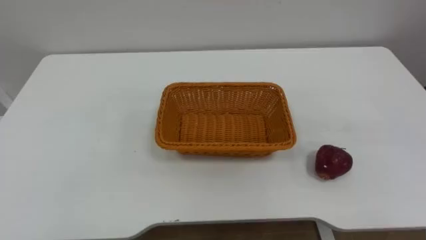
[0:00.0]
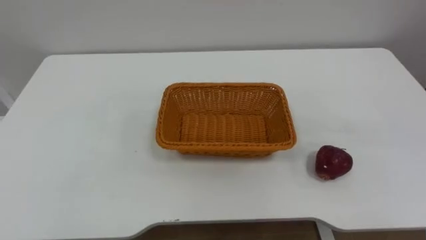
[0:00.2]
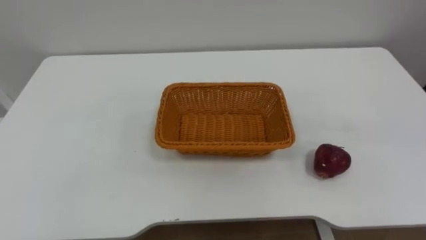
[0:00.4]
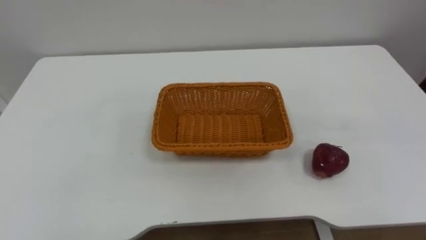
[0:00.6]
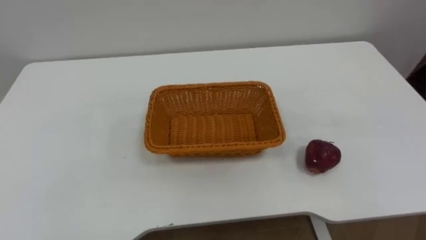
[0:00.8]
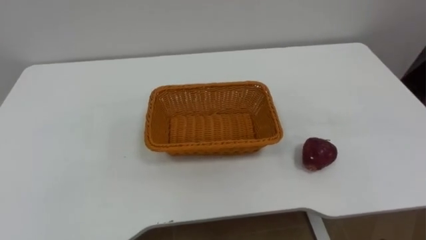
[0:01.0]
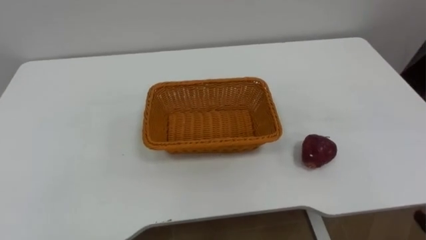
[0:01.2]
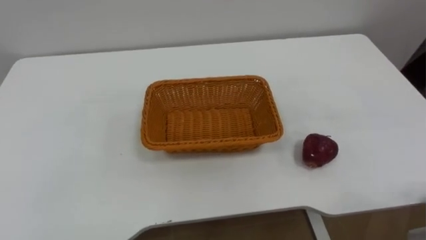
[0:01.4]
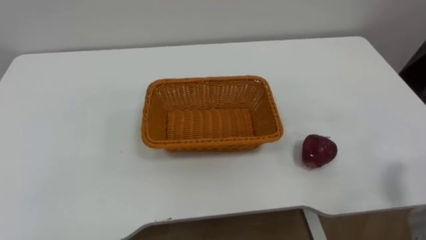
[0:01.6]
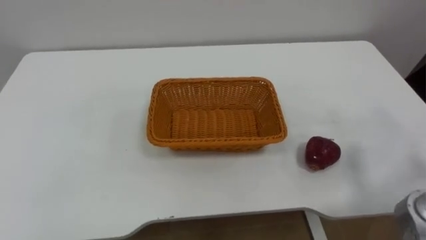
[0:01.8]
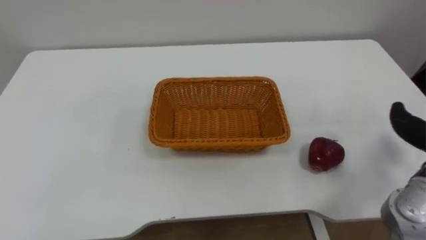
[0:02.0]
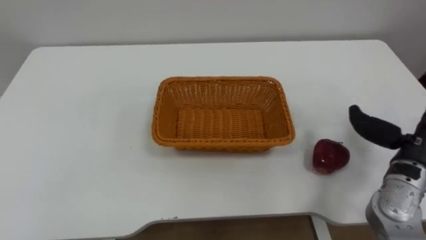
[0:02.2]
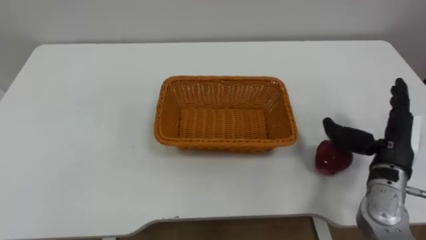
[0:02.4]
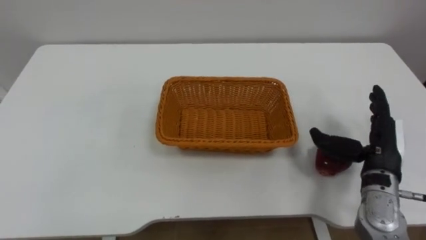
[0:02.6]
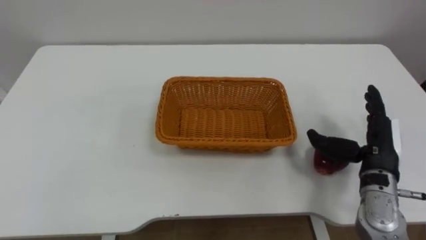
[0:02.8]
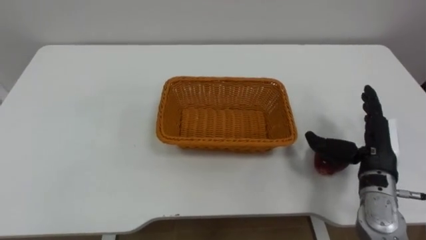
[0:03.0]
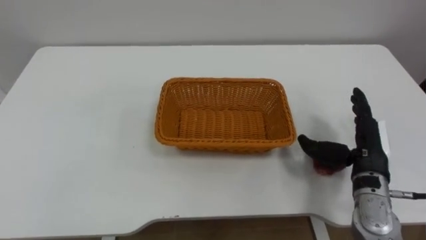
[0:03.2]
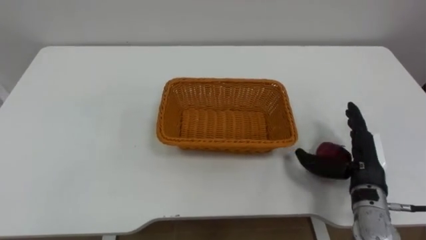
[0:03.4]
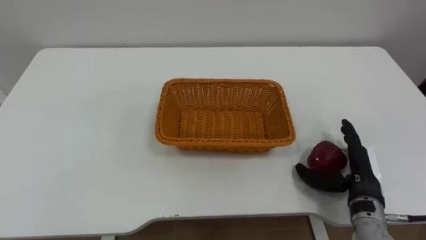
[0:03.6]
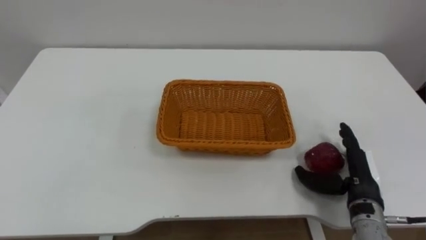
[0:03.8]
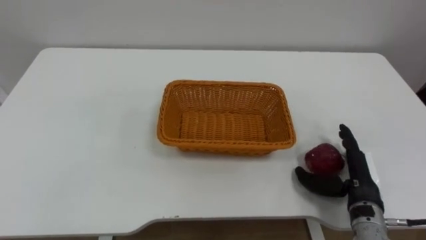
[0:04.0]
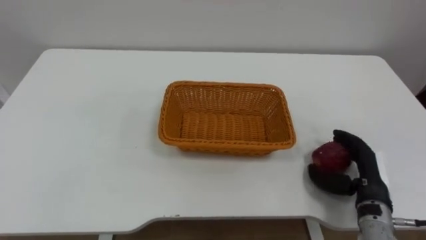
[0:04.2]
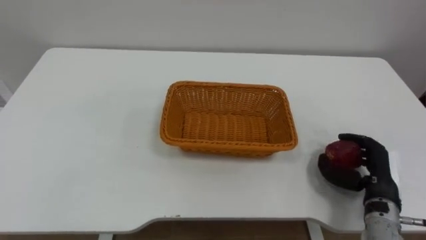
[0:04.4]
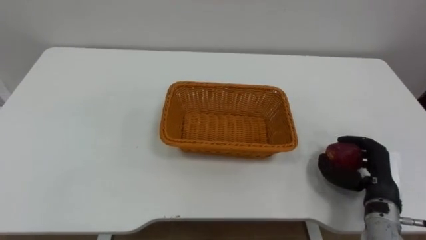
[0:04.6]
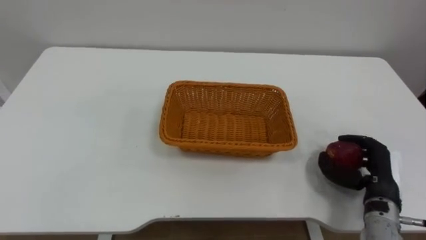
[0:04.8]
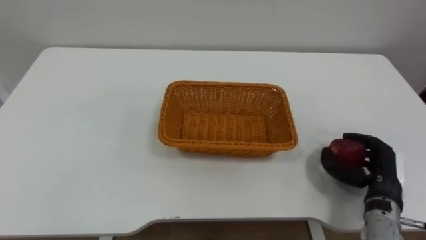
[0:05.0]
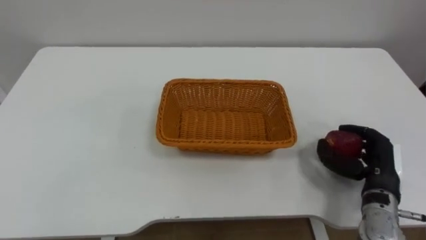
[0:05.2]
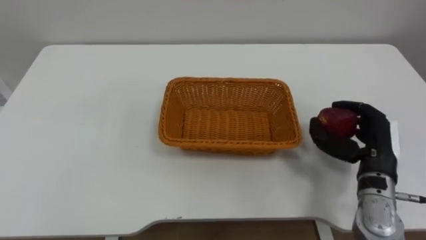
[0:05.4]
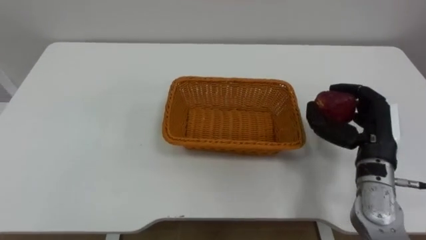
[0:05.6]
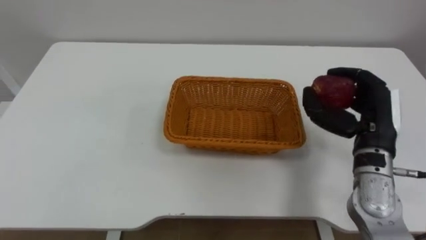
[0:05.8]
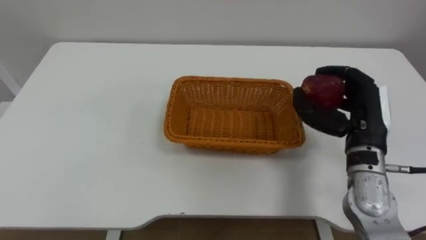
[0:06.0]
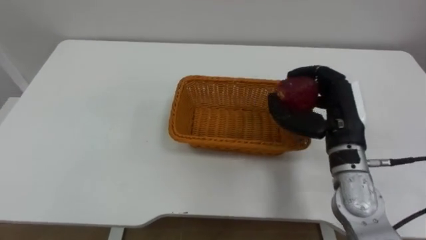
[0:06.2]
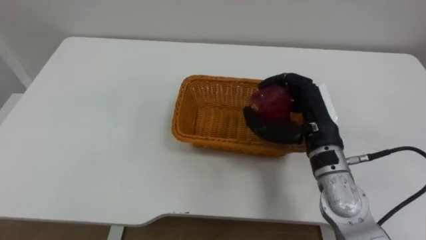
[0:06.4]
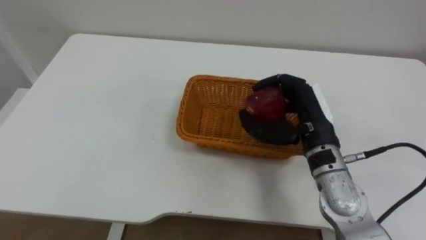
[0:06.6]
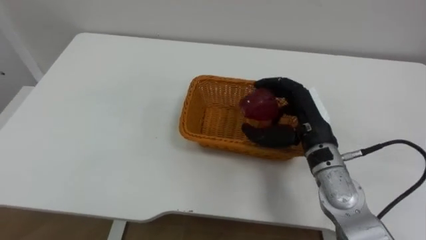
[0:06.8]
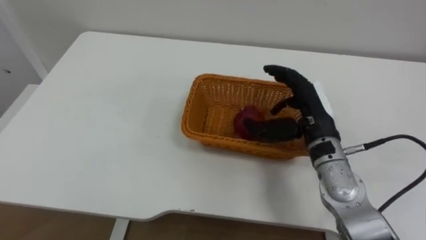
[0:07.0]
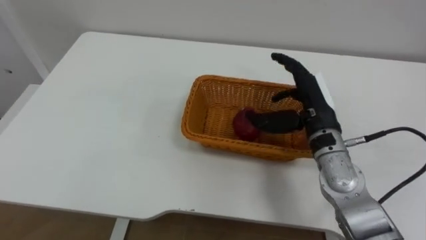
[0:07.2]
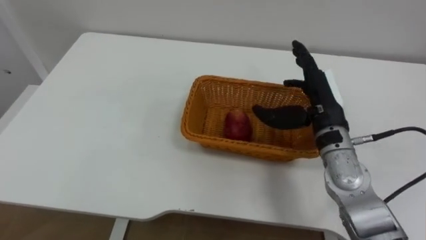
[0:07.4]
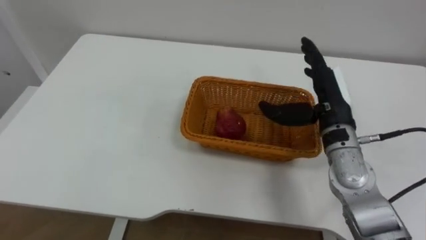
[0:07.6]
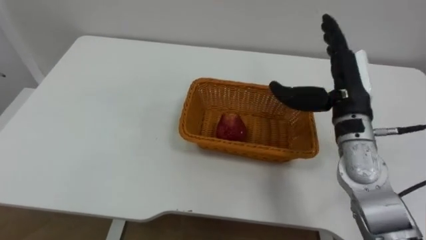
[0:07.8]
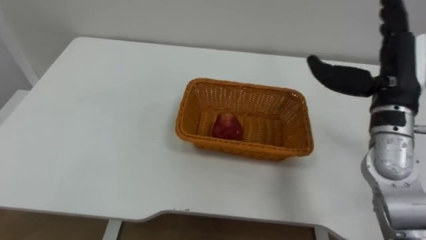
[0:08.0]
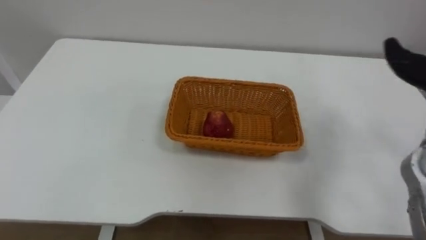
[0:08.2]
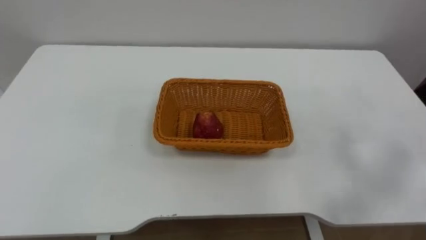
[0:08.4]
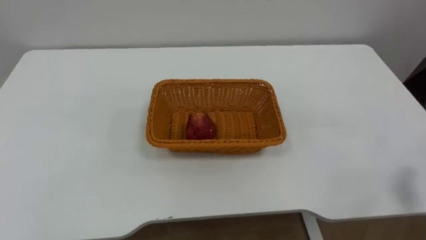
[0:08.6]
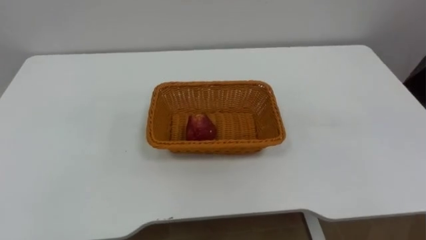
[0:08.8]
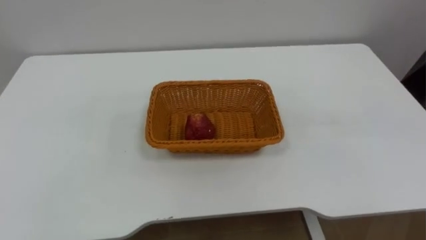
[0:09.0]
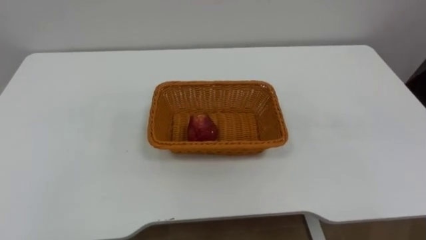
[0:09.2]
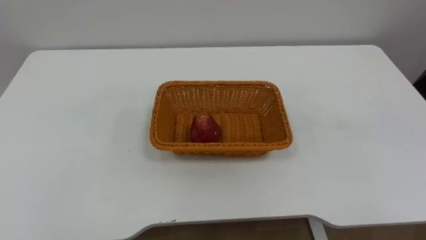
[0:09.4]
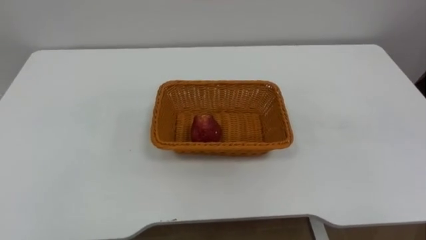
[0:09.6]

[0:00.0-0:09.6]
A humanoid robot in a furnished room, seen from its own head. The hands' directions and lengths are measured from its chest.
Task of the whole recording: Pick the apple and place it in the box.
0:03.2 to 0:04.8: The right hand is displaced downward by approximately 5 cm, and closes.
0:04.8 to 0:06.4: The right hand goes about 20 cm to the left, upward and forward.
0:06.4 to 0:08.0: The right hand goes roughly 10 cm to the right and upward, and opens.

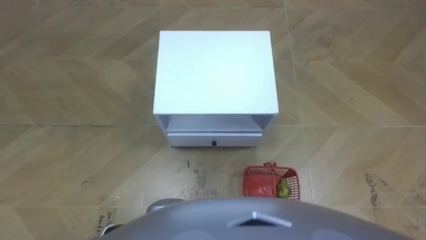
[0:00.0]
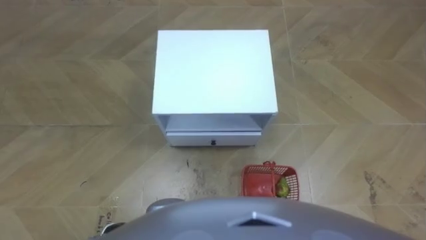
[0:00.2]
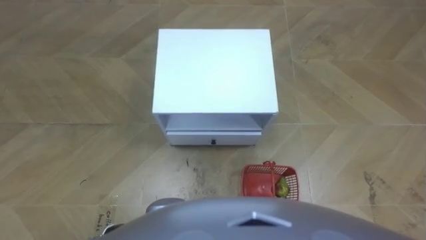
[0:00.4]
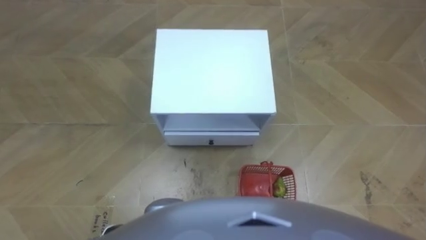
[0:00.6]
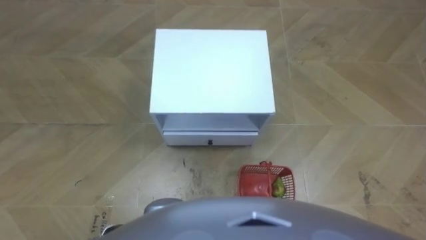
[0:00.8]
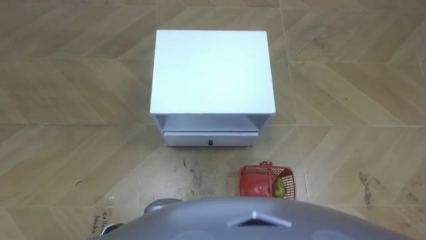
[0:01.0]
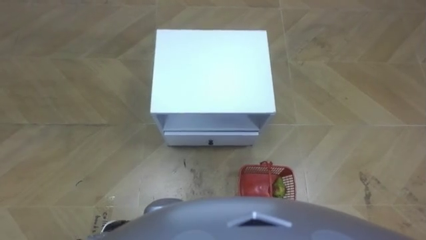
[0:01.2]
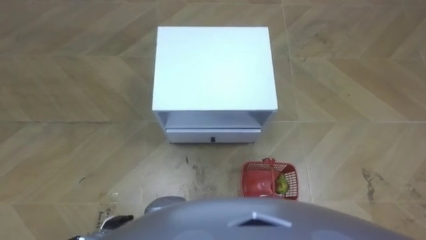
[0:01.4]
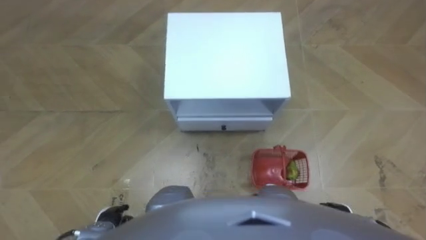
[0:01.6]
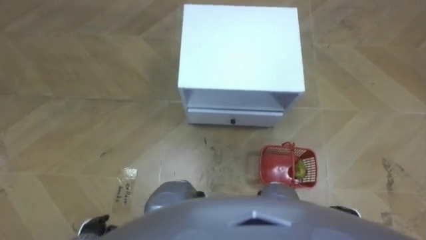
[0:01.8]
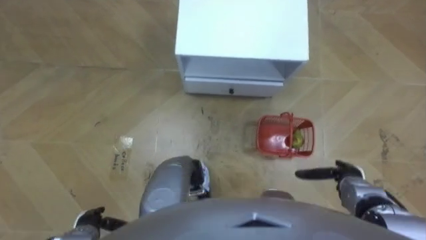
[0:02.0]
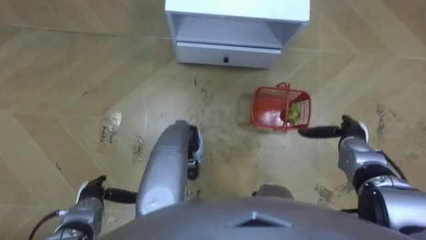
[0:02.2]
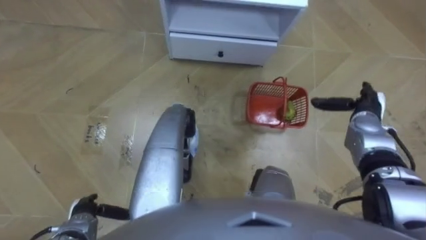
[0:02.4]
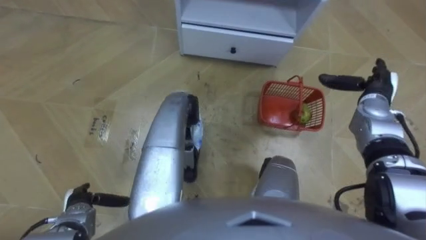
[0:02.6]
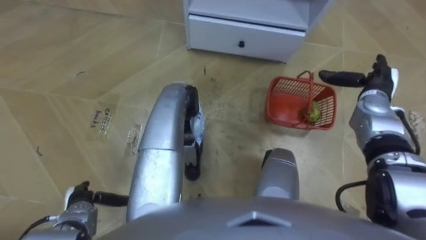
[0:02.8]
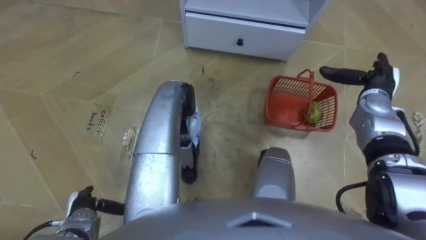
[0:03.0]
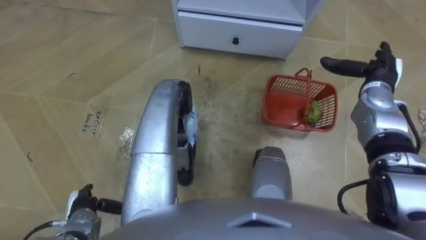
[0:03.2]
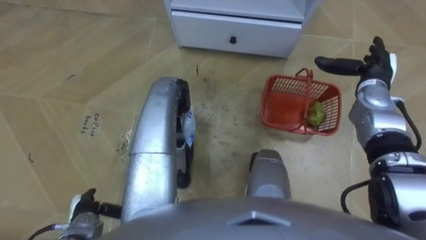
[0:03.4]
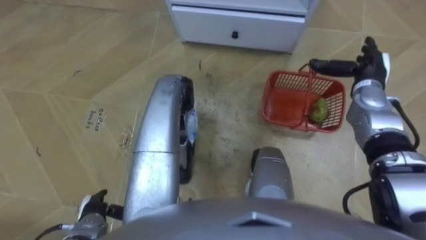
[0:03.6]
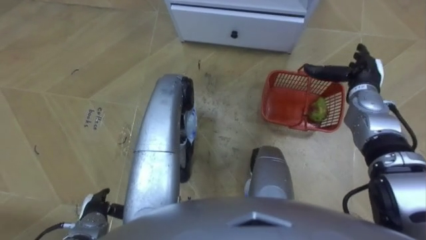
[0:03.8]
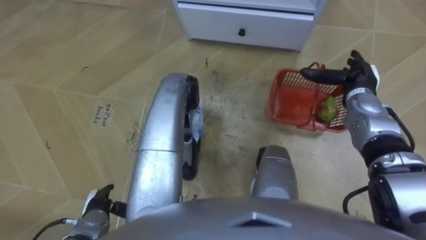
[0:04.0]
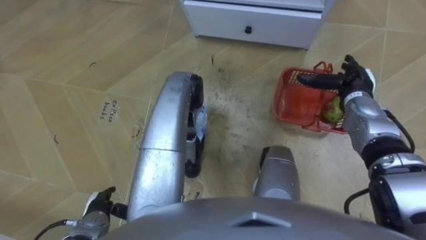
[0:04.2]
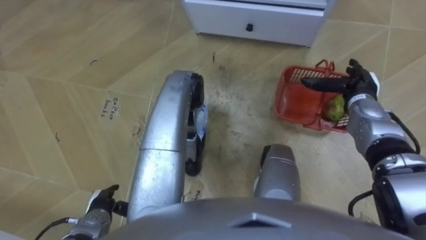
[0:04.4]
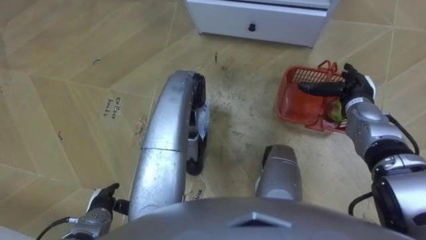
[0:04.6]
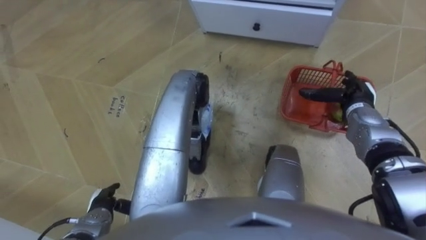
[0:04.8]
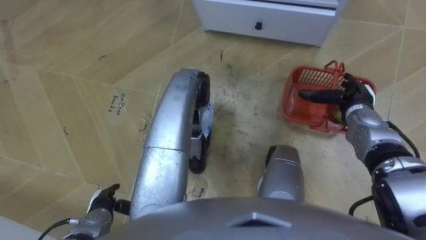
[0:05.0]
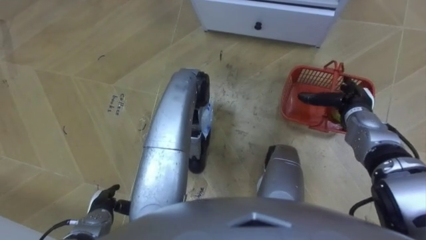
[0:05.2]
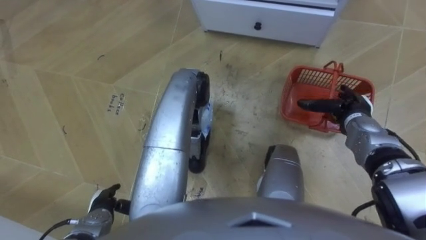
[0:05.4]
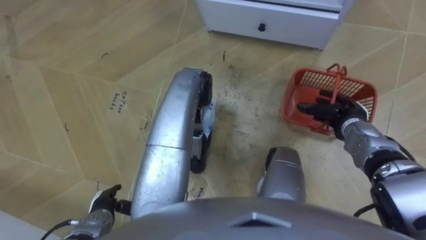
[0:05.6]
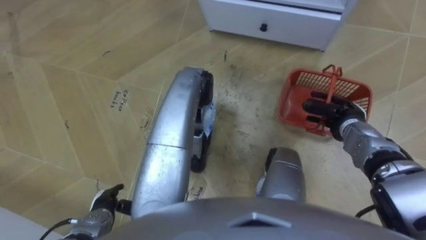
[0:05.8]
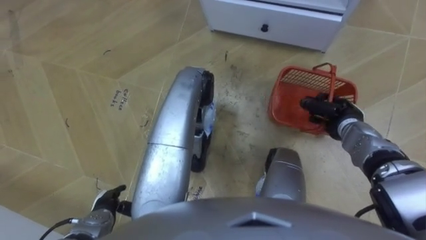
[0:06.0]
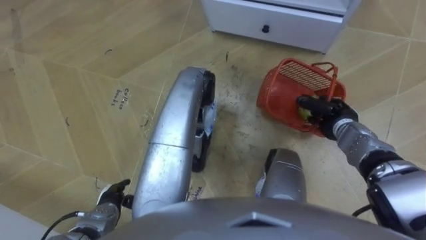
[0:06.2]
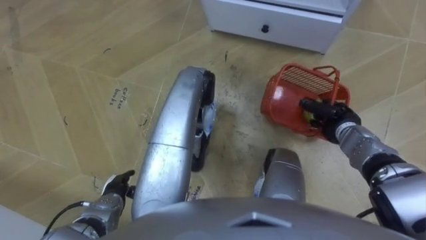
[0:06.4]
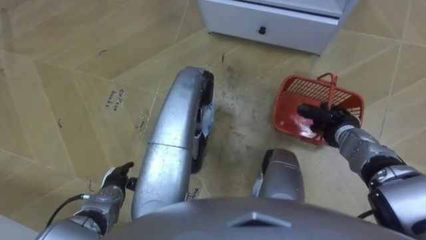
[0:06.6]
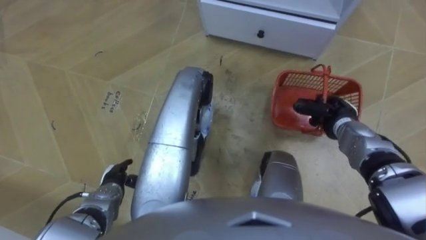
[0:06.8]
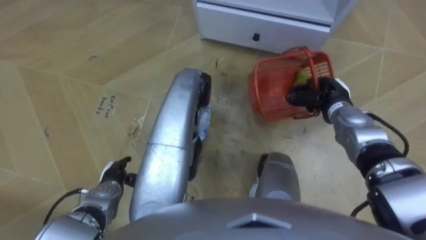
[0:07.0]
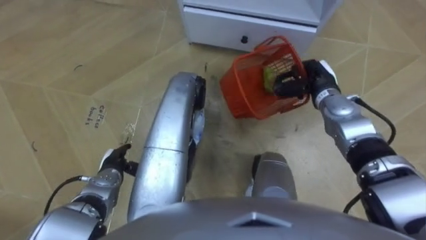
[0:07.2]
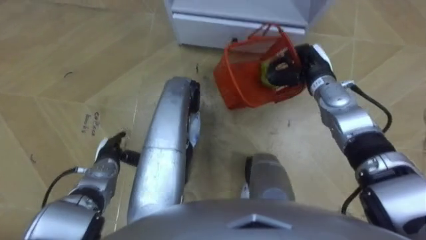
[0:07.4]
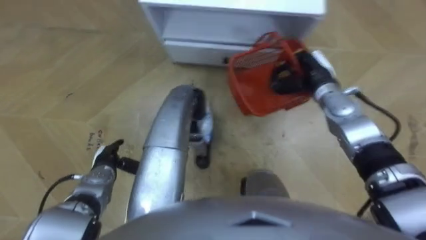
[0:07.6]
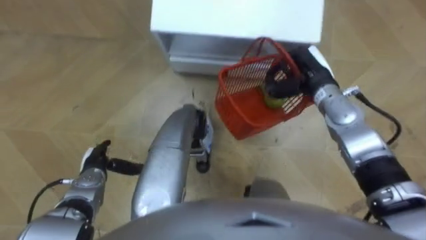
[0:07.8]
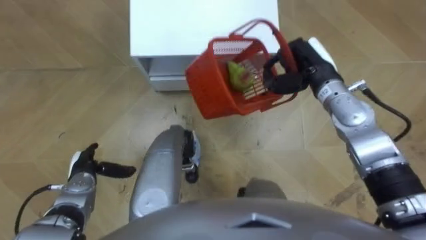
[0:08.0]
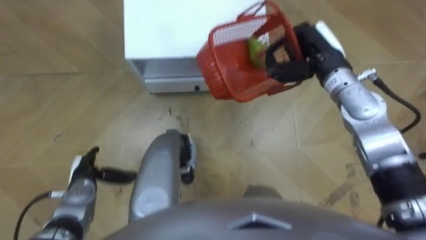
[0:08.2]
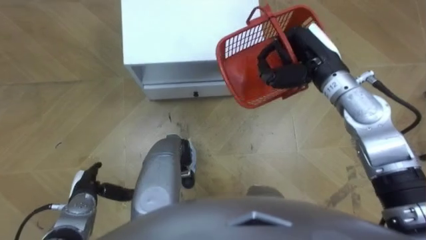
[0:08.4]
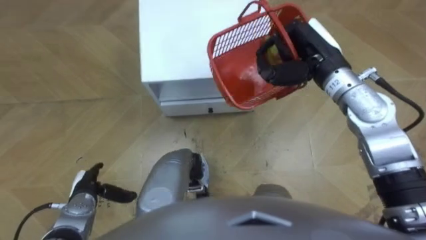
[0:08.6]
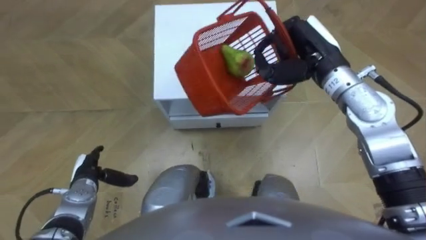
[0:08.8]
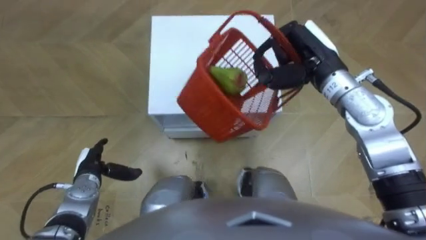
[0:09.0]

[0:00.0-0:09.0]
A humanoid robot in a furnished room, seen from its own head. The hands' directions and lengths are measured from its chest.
Task of the whole recording: Pick up the fruit basket from the floor and place it on the cabinet.
0:01.6 to 0:03.0: The left hand goes approximately 5 cm to the left. The right hand goes about 30 cm forward and upward.
0:04.4 to 0:06.0: The right hand shifts by about 5 cm, and closes its fingers.
0:06.0 to 0:07.6: The right hand shifts approximately 15 cm to the left, upward and forward. Meanwhile the left hand shifts approximately 10 cm forward.
0:07.6 to 0:09.0: The right hand shifts roughly 10 cm upward.
